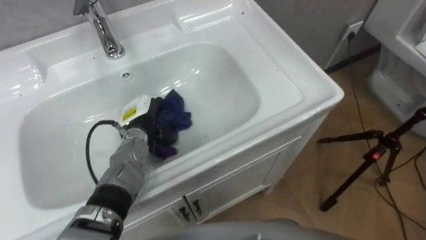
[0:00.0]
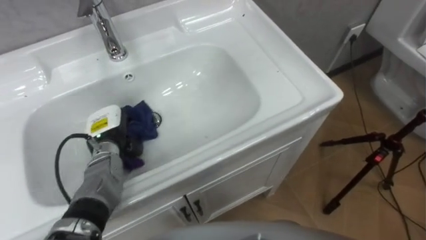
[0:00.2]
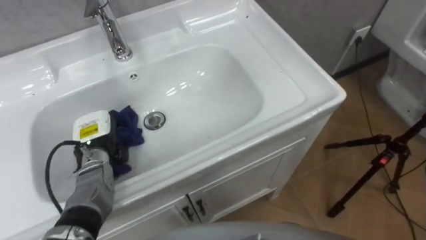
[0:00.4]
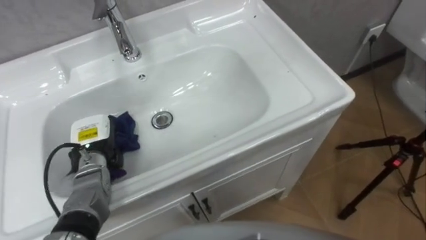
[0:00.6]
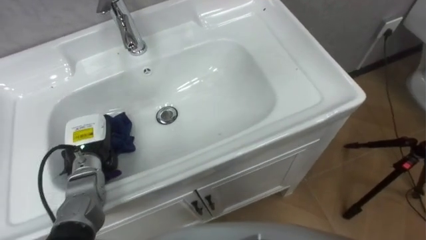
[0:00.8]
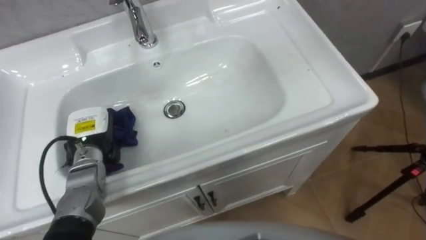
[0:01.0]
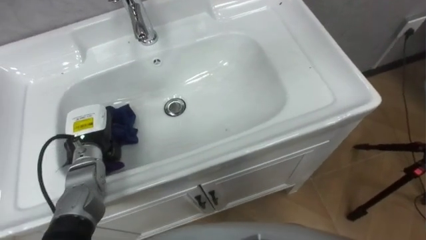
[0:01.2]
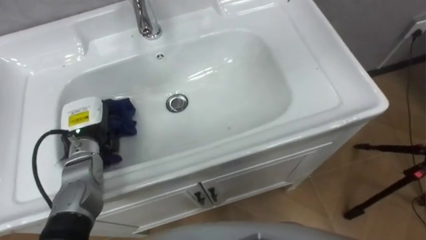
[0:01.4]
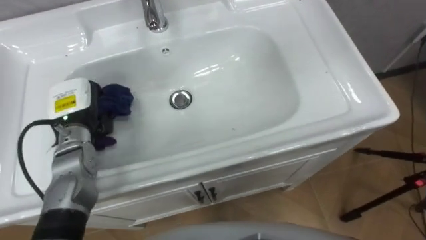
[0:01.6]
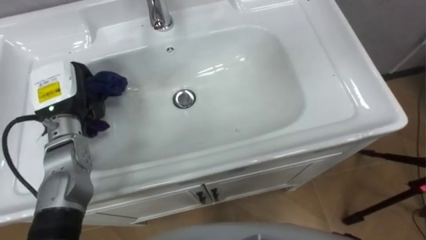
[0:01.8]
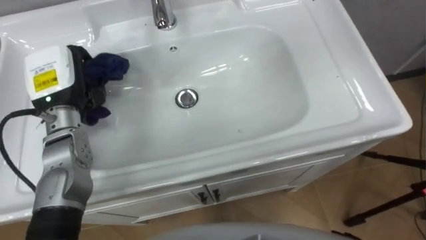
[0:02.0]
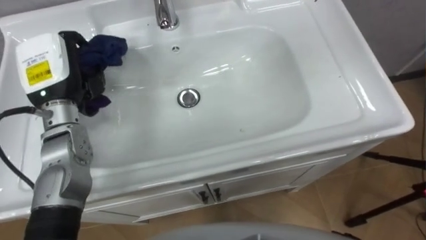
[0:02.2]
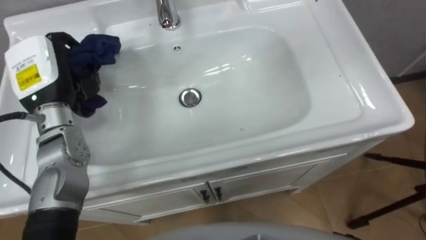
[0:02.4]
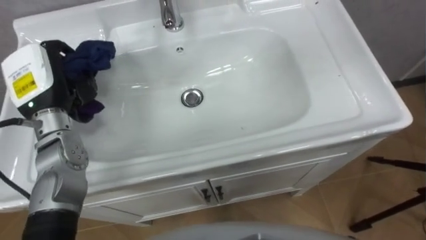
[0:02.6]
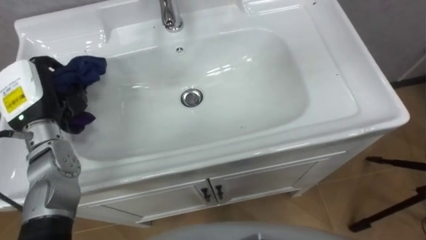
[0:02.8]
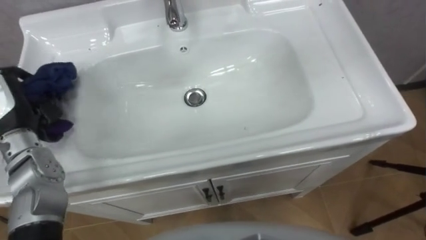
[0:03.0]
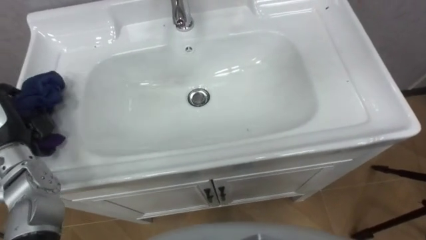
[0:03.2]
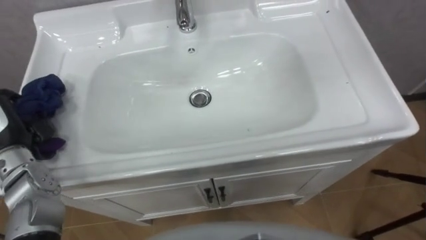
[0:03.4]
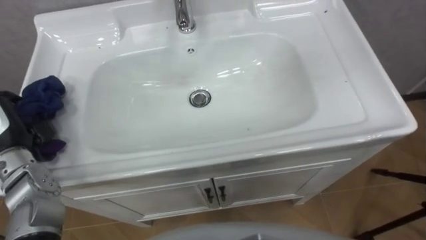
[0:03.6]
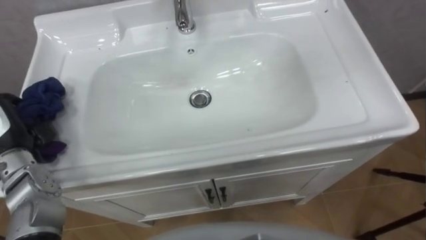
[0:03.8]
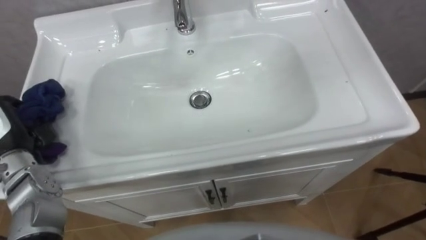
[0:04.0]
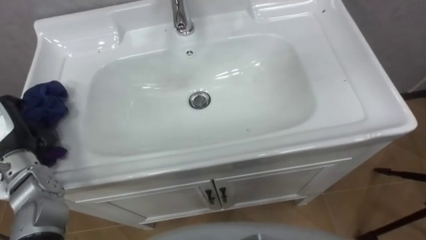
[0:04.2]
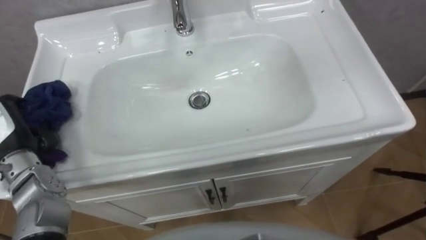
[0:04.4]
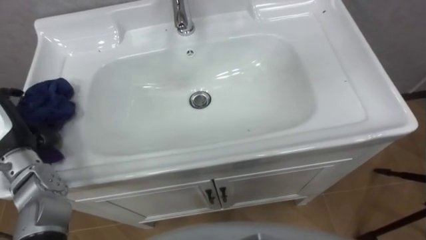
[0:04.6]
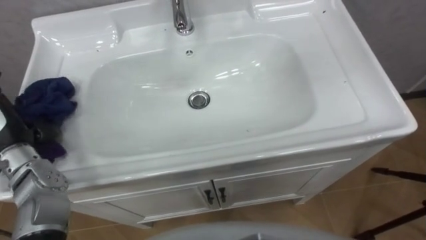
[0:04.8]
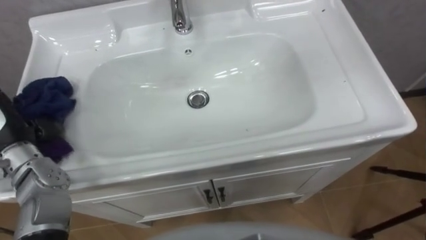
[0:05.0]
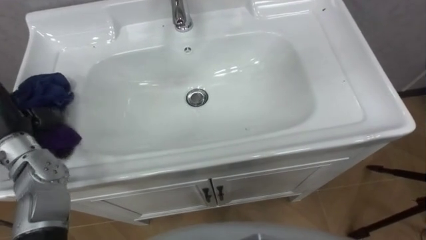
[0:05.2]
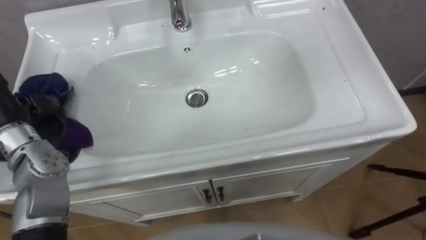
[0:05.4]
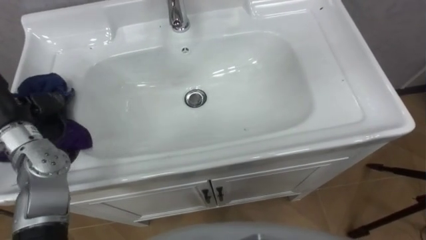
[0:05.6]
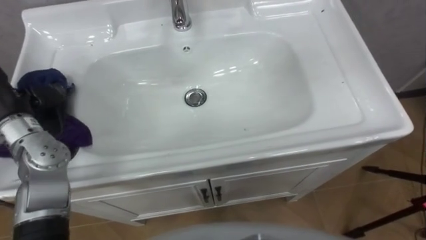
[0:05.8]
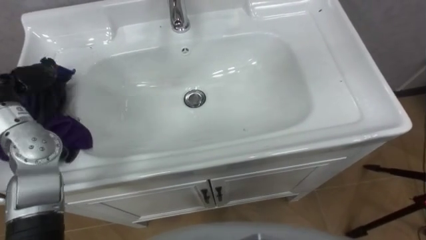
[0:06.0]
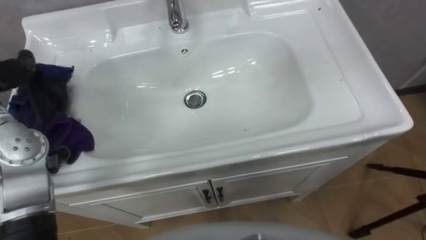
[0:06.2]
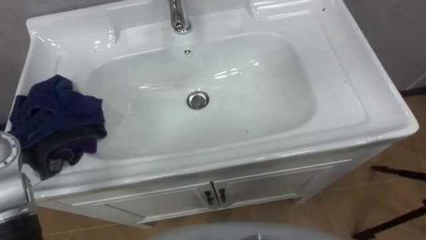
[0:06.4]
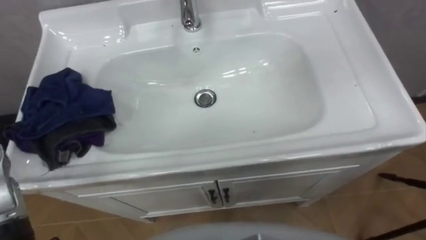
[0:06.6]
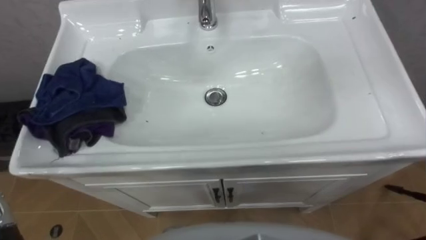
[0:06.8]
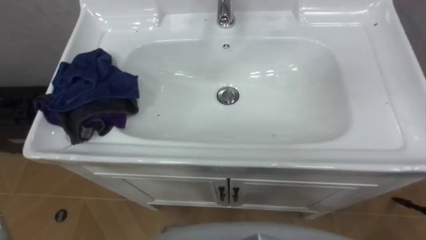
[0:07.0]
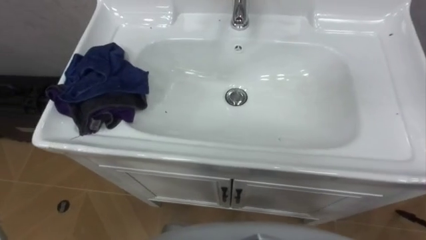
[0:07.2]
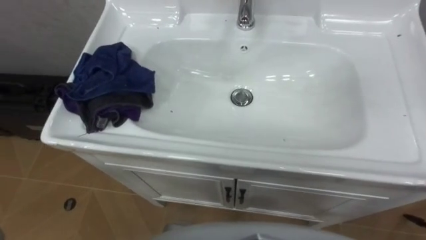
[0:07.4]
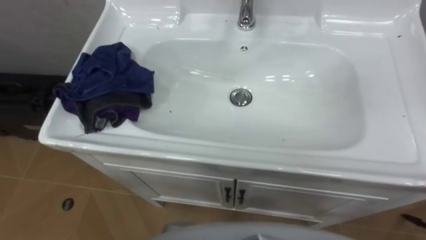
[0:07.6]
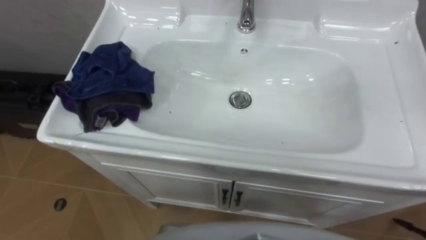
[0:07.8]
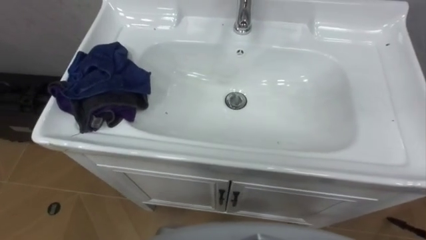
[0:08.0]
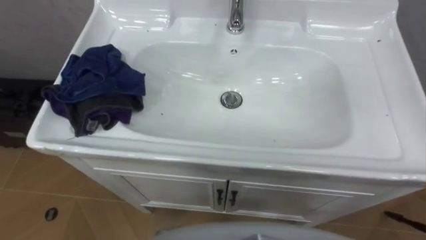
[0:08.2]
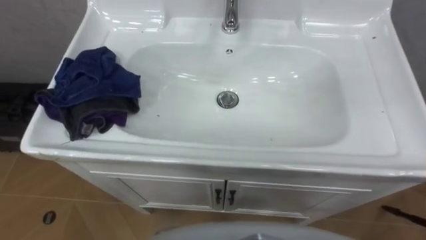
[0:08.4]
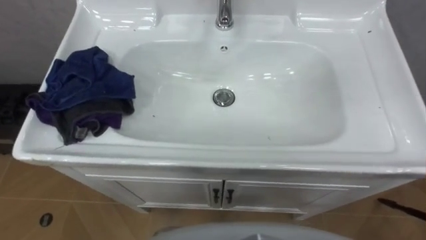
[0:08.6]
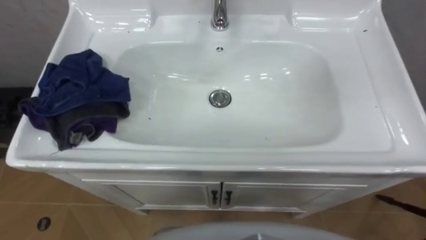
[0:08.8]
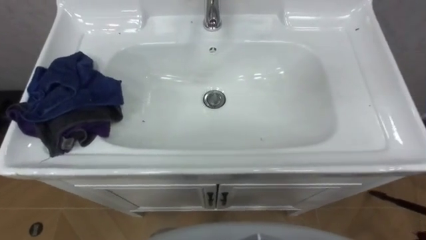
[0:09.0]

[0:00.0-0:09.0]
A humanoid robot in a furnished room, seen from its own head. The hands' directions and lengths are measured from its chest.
Task of the whole recording: Use the cloth on the right to wipe away the black stain in the sink.
0:00.0 to 0:01.6: The left hand heads to the left and upward, covering roughly 15 cm.

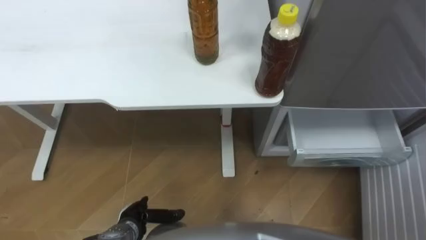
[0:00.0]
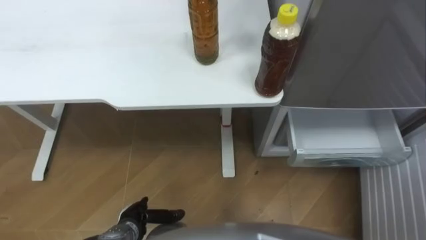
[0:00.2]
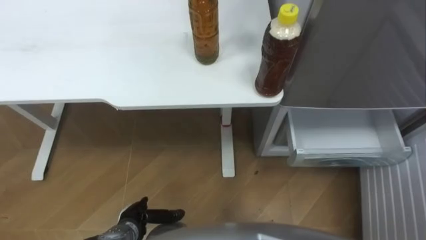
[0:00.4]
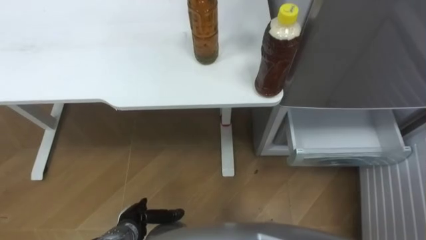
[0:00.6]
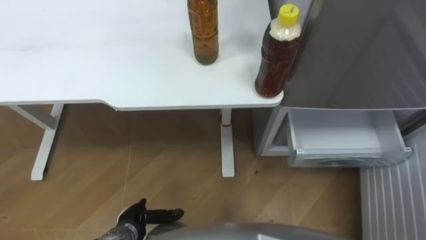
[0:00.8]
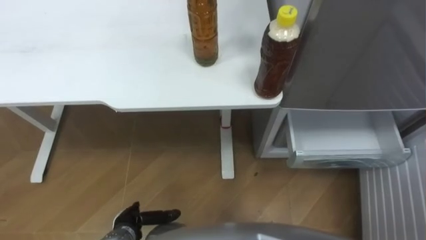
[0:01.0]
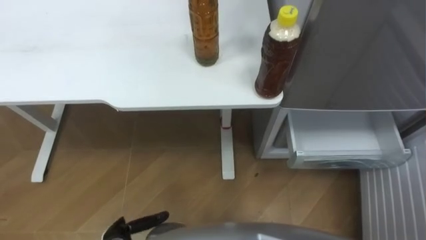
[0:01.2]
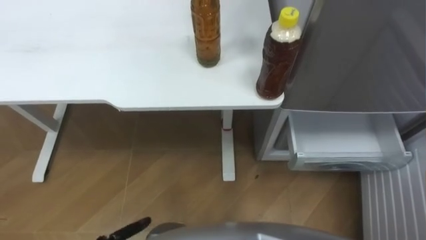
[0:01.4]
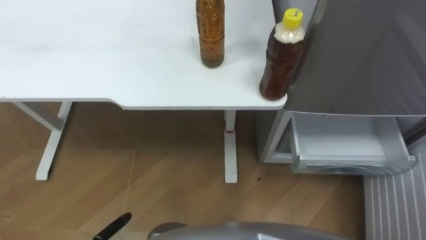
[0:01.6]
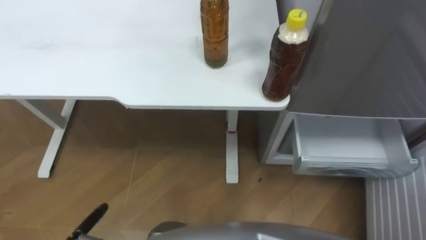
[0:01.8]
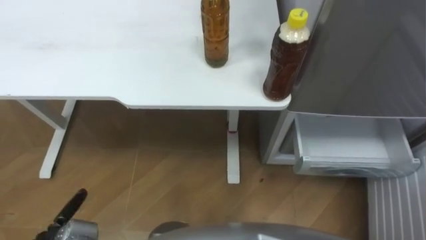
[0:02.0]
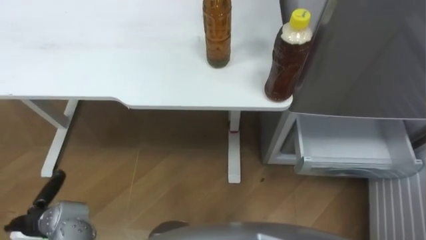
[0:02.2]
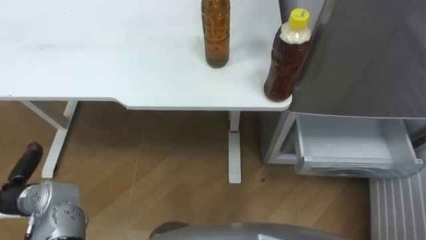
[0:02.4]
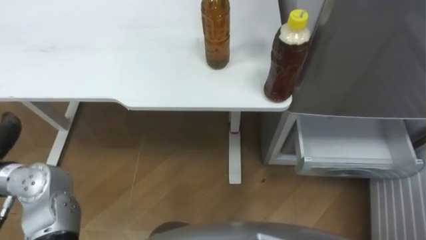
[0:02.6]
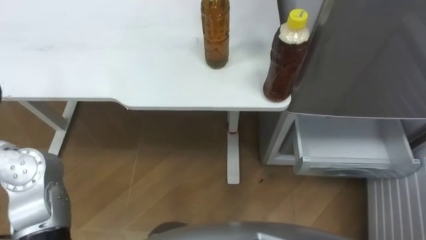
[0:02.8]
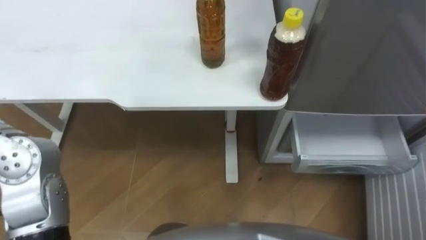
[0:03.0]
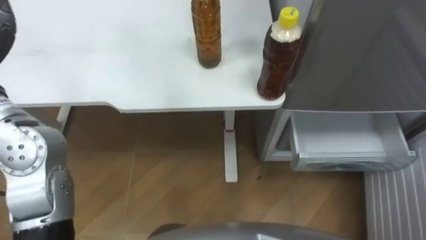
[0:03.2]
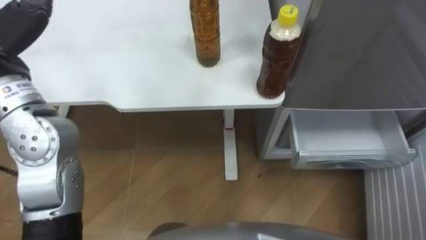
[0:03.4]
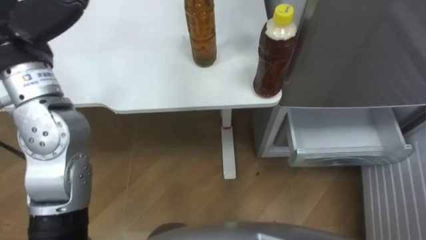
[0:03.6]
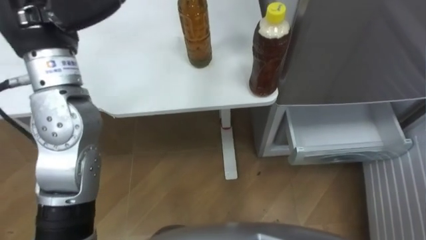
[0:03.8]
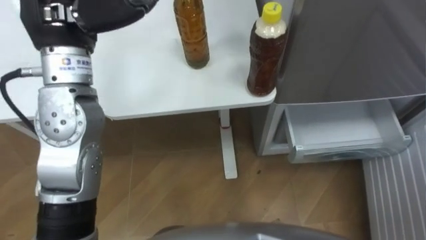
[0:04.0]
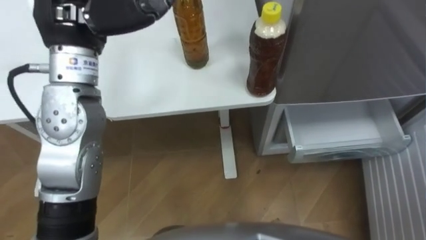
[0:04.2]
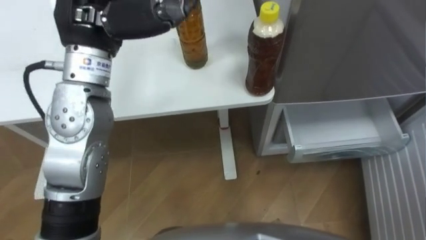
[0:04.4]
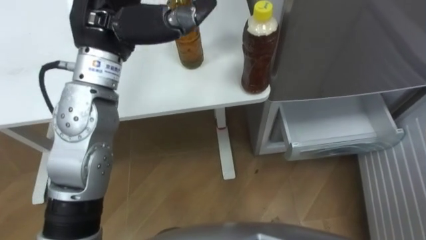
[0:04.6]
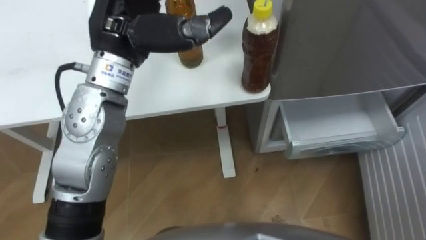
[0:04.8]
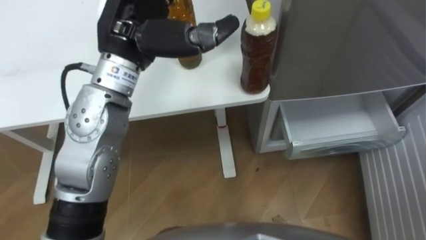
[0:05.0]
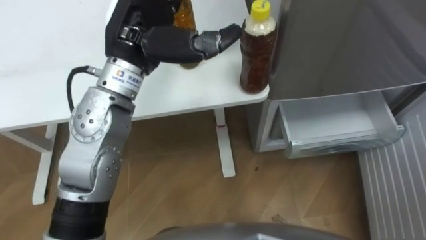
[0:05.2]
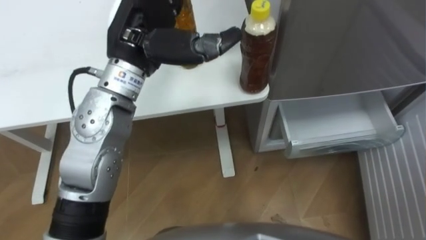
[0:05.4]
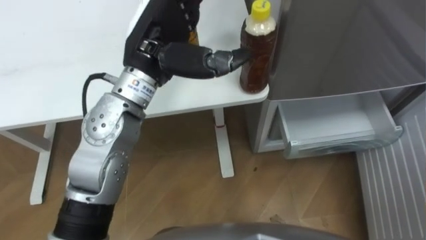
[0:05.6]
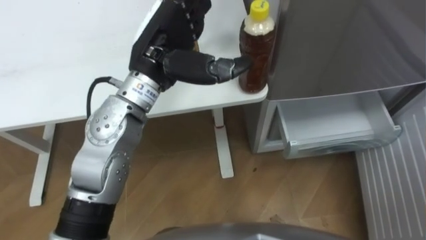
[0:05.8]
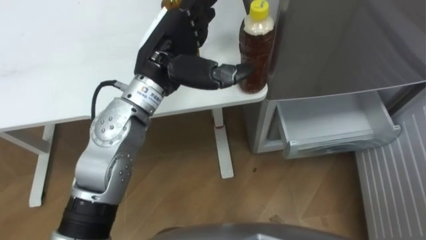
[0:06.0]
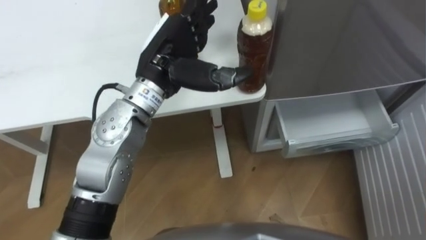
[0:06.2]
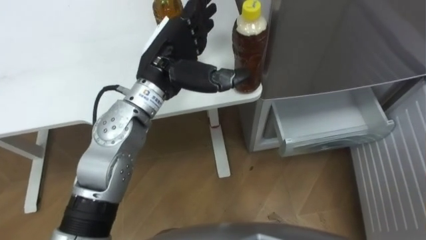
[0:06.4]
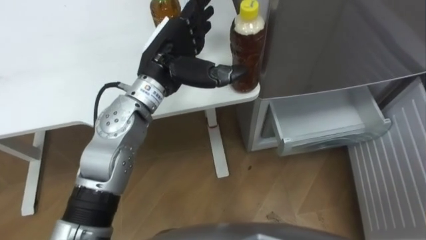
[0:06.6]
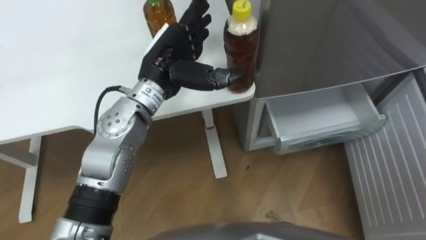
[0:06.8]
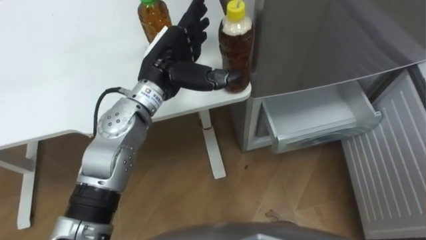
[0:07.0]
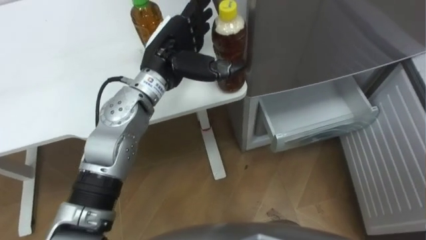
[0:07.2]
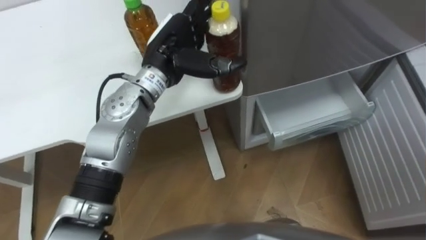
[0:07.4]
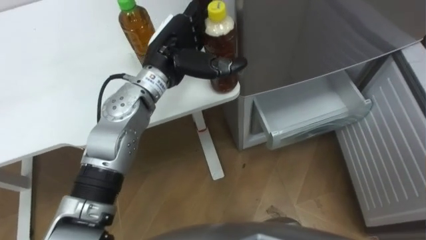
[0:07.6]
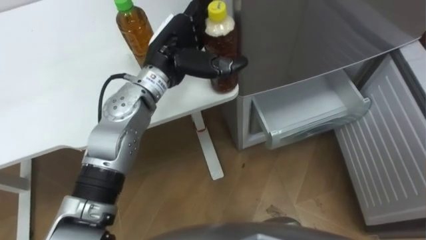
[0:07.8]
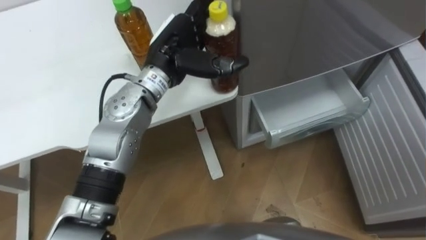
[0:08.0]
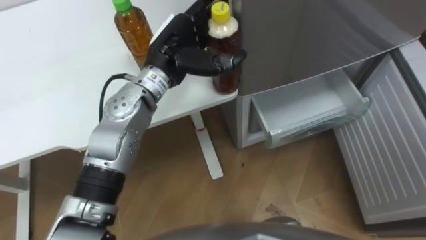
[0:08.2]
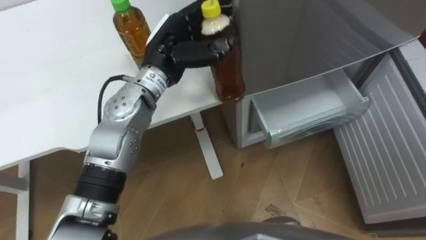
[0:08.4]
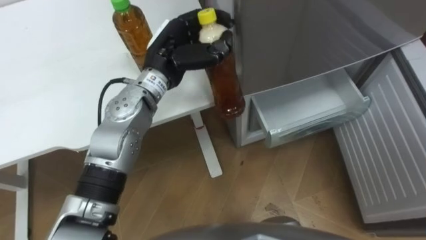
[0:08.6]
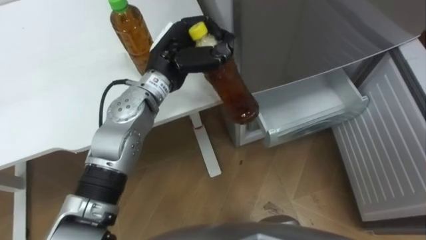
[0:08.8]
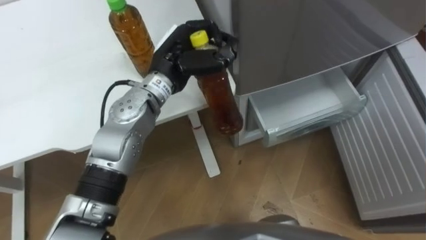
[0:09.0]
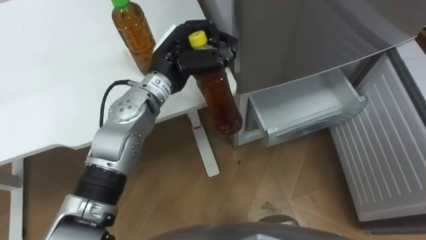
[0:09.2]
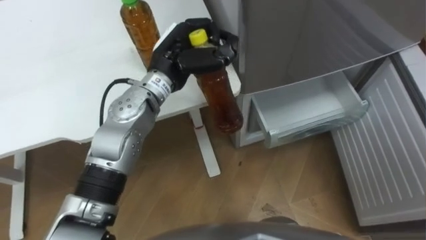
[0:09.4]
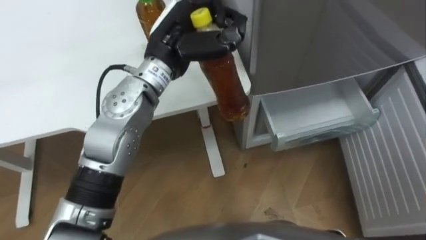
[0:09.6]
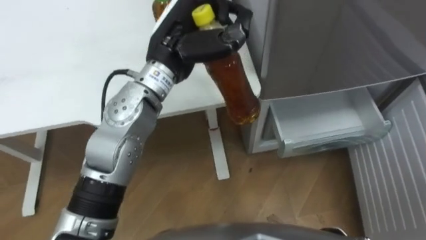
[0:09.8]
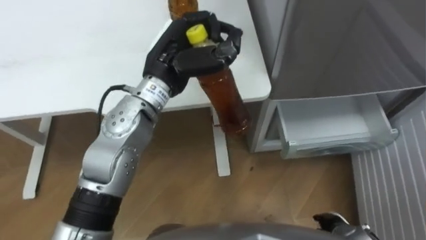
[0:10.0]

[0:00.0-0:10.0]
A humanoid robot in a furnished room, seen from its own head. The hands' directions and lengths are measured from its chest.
Task of the whole recording: Place the drink on the table on the bottom shelf of the refrigerator, then close the drawer and the refrigerator door.
0:04.2 to 0:05.8: The left hand heads to the right and downward, covering about 10 cm.
0:05.8 to 0:07.2: The left hand moves downward, roughly 5 cm.
0:07.2 to 0:08.6: The left hand closes up.
